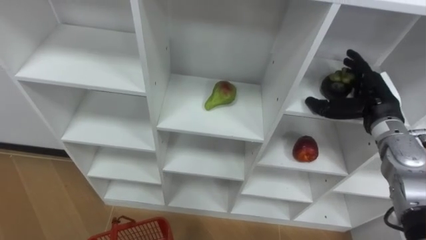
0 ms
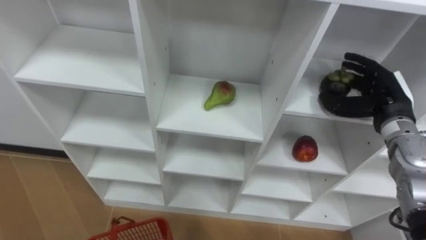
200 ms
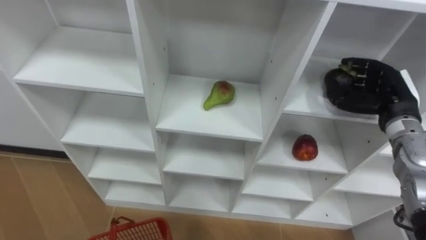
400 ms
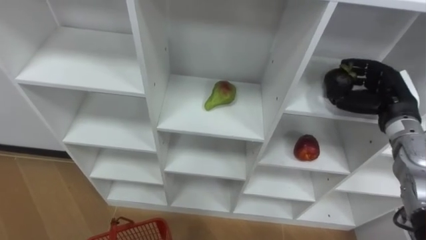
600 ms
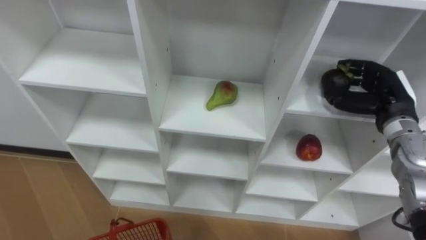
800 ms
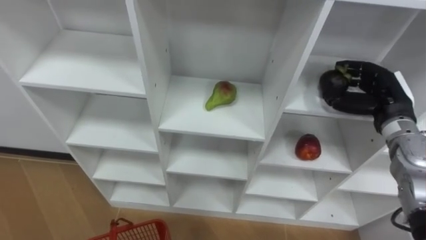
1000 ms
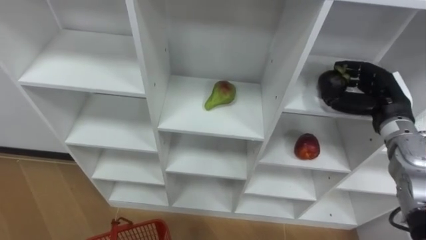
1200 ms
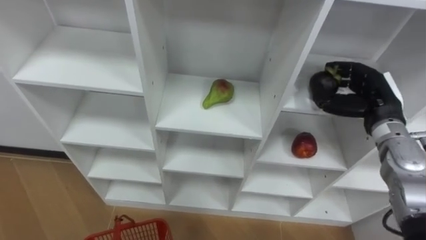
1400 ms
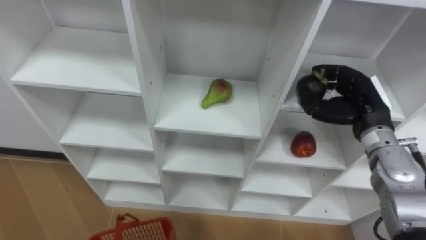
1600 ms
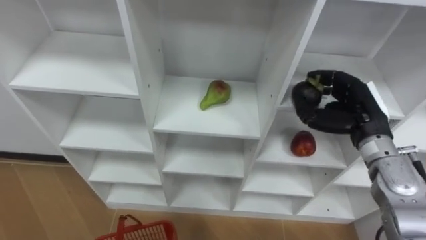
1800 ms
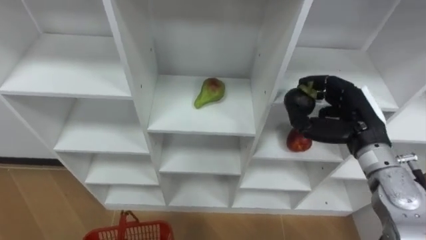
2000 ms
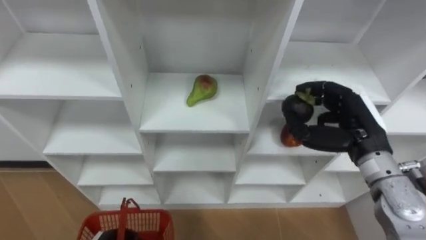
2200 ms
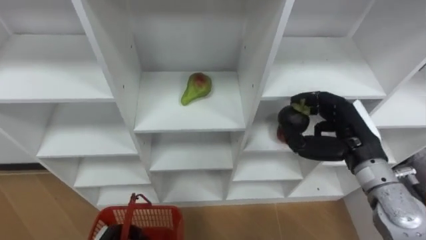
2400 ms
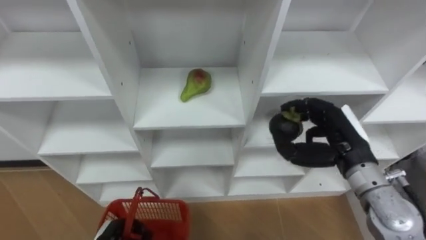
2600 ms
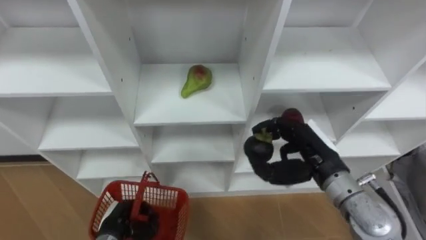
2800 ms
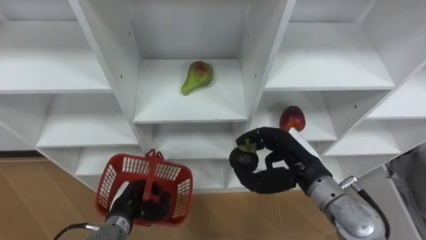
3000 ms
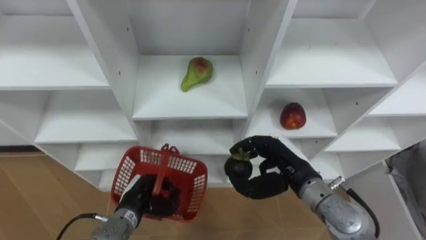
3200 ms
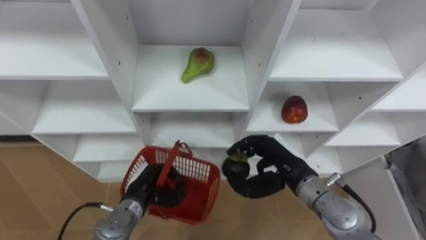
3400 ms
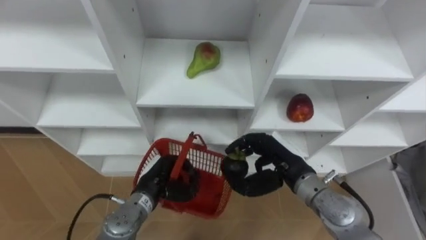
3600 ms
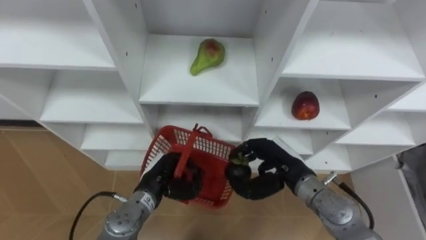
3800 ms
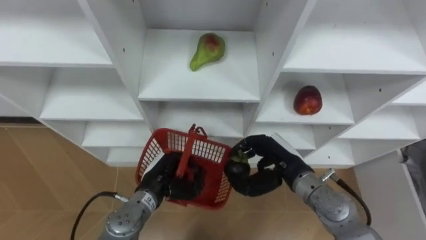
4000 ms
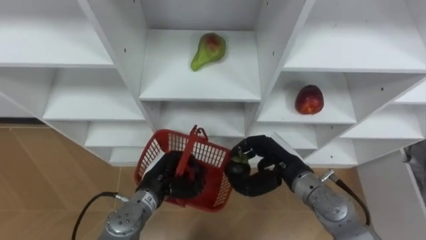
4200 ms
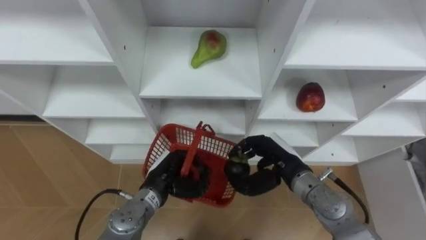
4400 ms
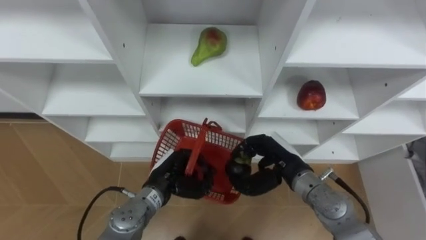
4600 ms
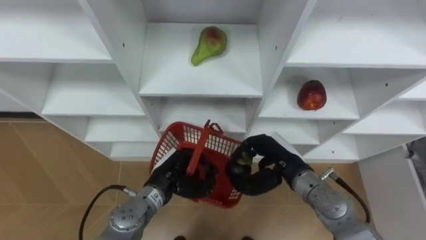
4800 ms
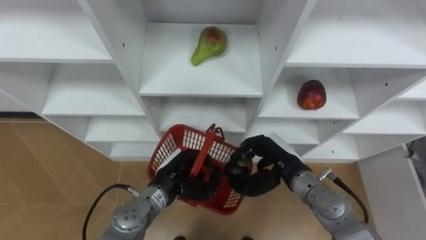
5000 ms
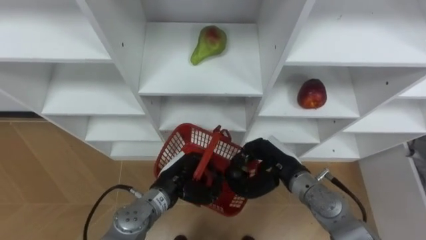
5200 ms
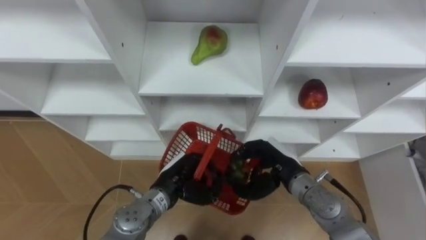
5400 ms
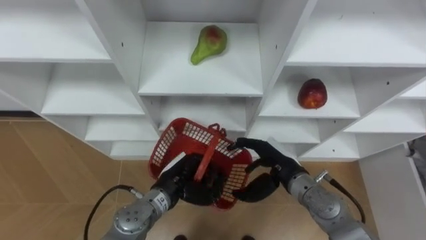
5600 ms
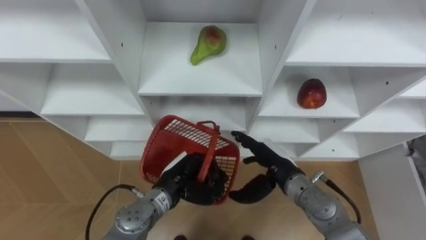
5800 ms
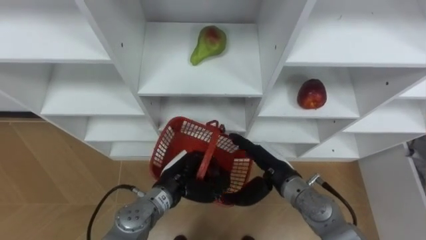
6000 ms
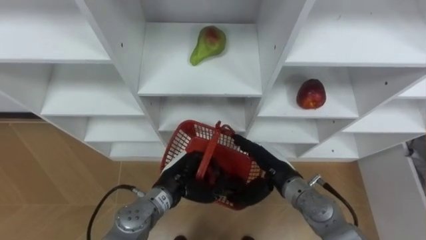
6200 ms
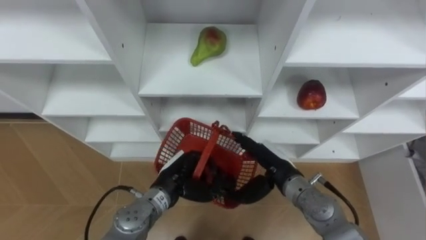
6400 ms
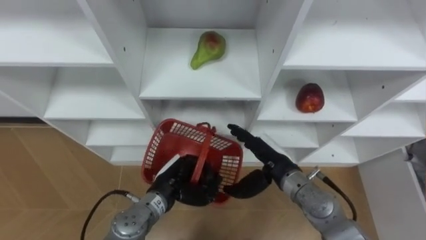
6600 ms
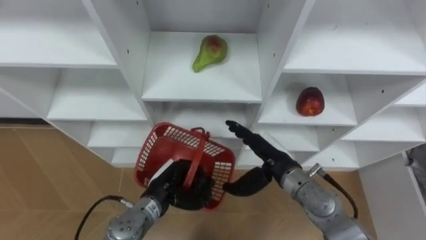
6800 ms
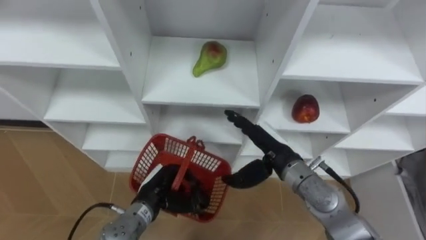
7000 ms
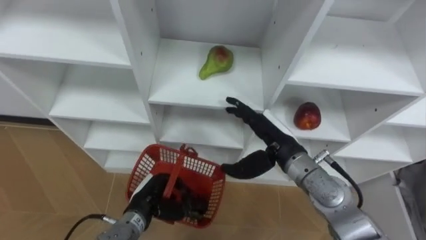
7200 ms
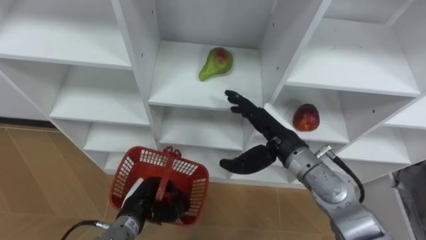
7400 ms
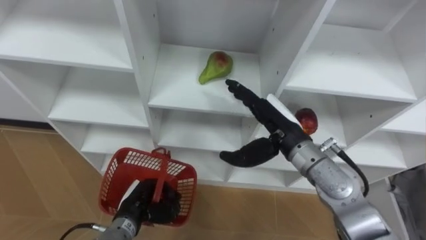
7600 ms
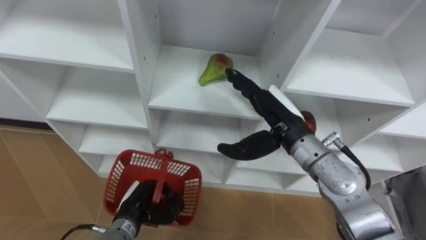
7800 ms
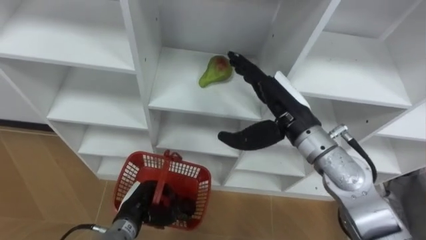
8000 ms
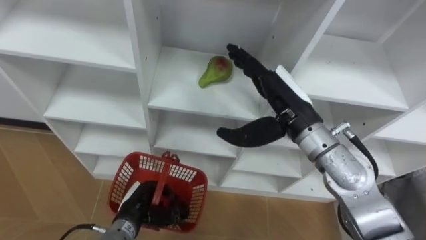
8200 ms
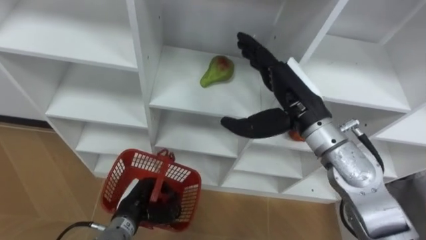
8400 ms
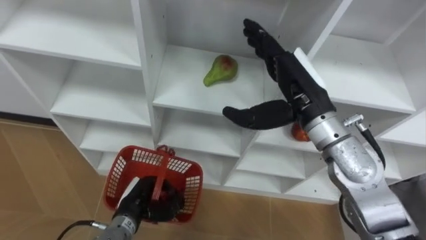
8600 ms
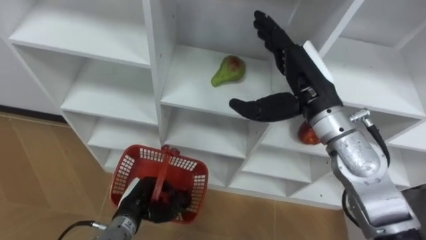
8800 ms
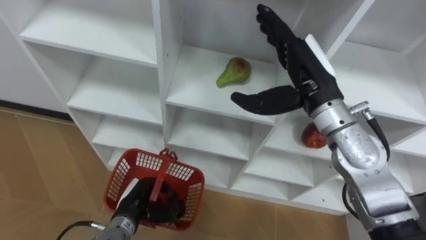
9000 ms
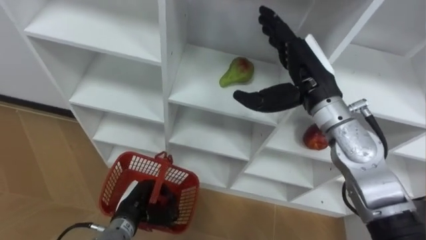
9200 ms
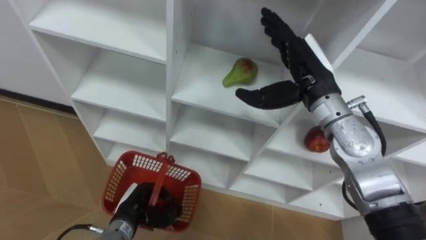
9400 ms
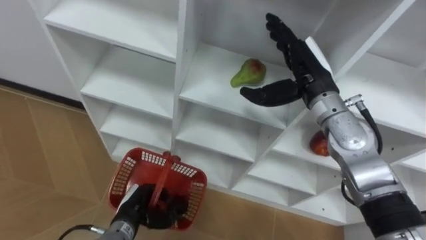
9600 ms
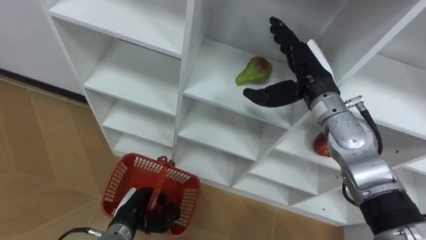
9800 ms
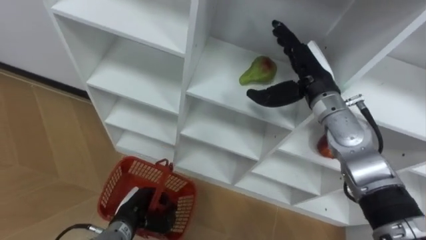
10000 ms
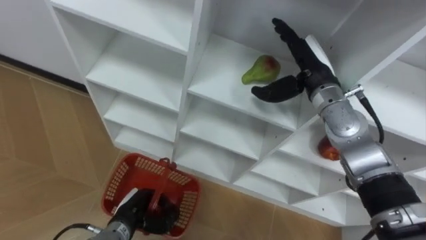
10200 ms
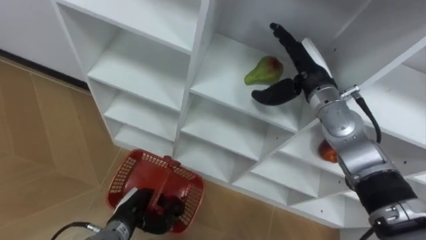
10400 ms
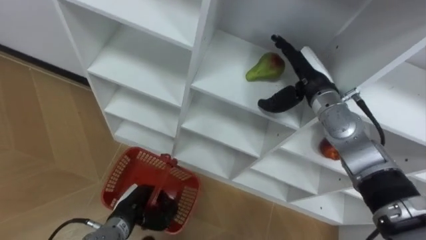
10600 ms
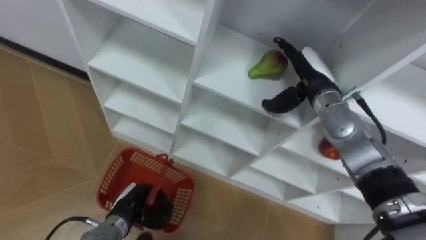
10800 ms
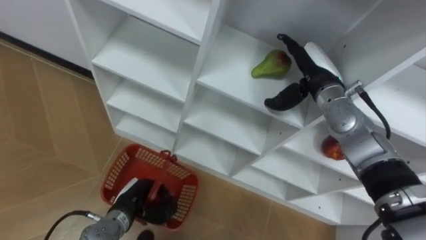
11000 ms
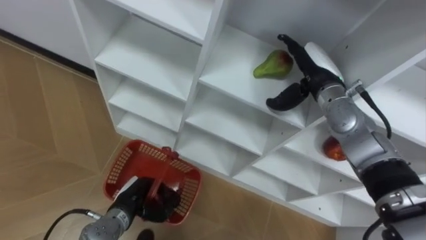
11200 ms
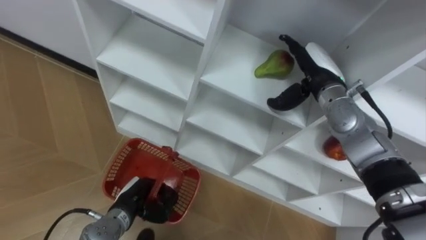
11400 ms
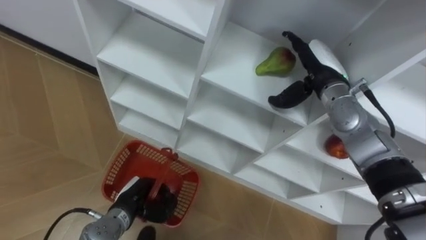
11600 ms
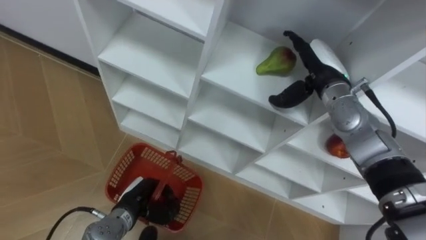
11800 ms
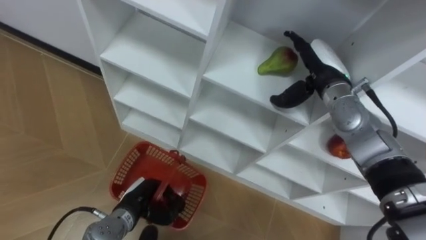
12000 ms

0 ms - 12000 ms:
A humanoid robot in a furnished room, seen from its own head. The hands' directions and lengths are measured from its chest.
Task of the whole recording: Hold the basket and collect the fruits from 3 different cells of the closet into it.
0 ms - 1600 ms: The right hand closes its fingers.
1600 ms - 3000 ms: The right hand goes some 15 cm to the left and backward.
3000 ms - 4400 ms: The right hand shifts by about 5 cm, while the left hand shifts about 10 cm to the right and upward.
4400 ms - 6000 ms: The right hand opens its fingers.
6000 ms - 7600 ms: The right hand is displaced upward by roughly 10 cm. Meanwhile the left hand is displaced to the left and downward by about 10 cm.
7600 ms - 9000 ms: The right hand shifts approximately 10 cm upward.
9000 ms - 10400 ms: The right hand goes roughly 10 cm forward and downward.

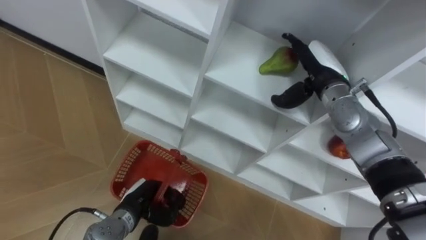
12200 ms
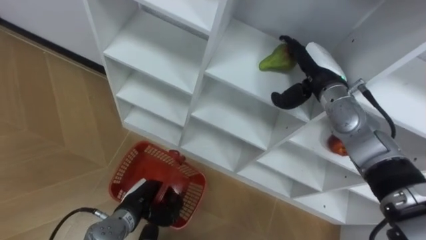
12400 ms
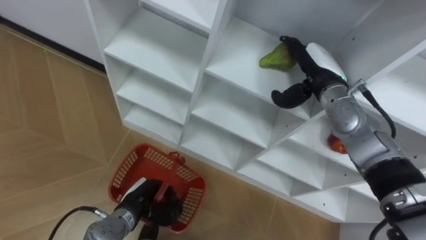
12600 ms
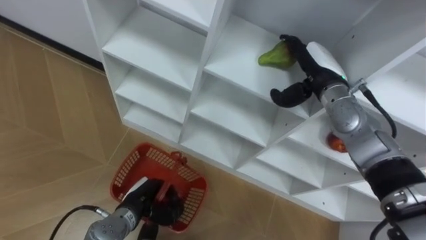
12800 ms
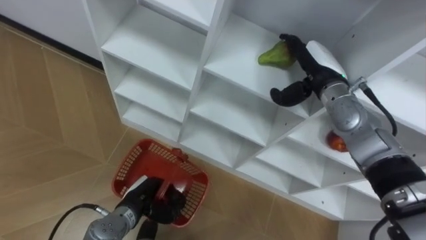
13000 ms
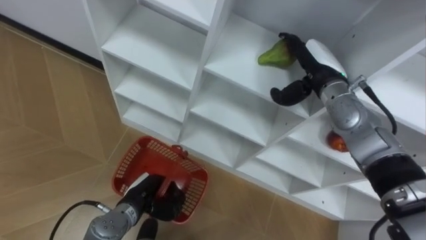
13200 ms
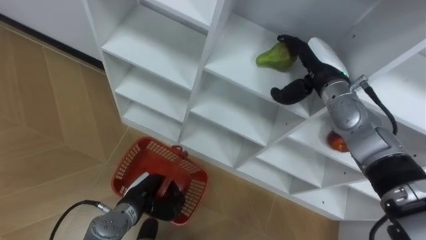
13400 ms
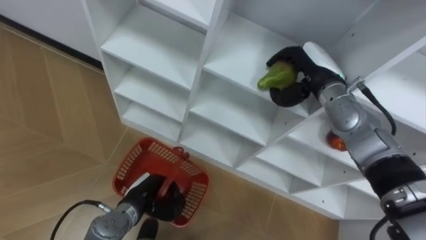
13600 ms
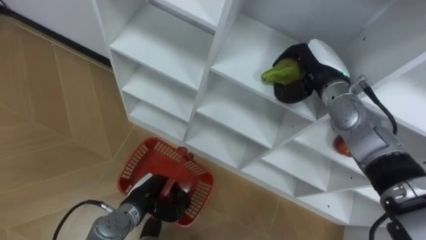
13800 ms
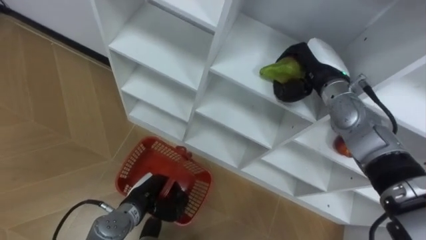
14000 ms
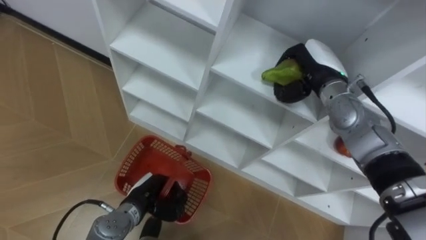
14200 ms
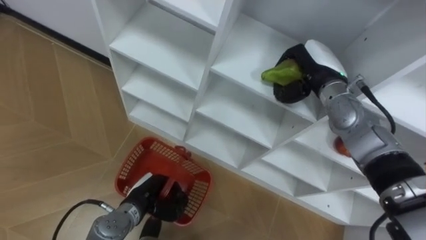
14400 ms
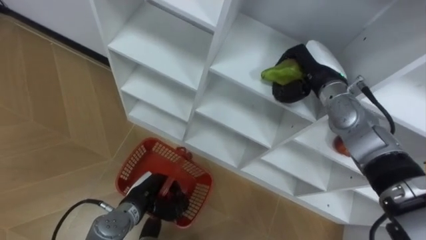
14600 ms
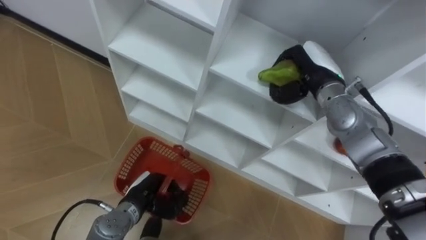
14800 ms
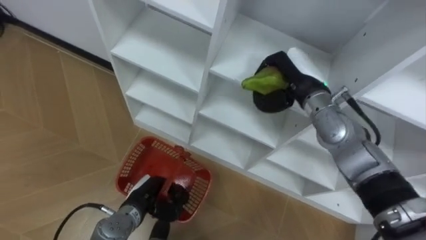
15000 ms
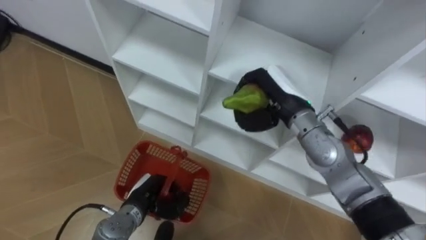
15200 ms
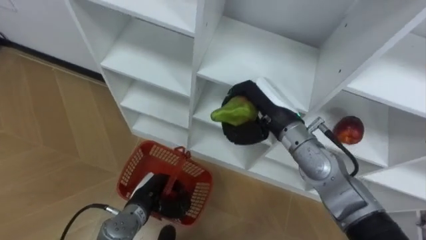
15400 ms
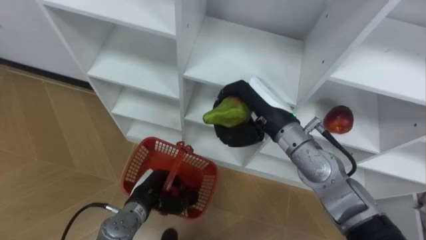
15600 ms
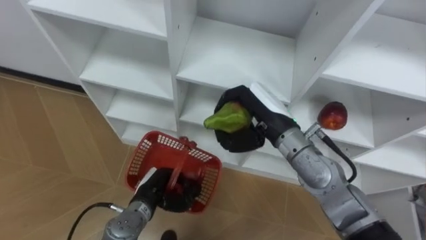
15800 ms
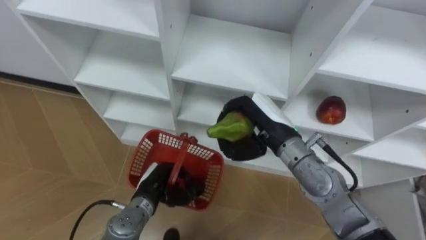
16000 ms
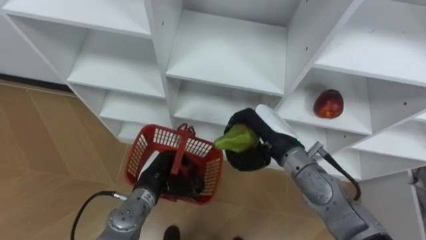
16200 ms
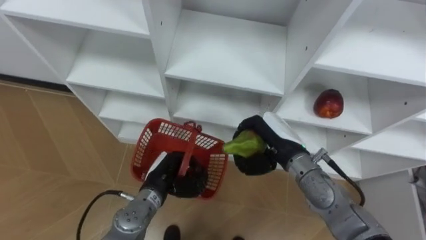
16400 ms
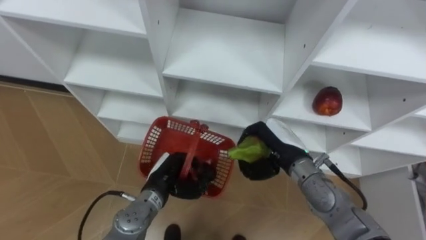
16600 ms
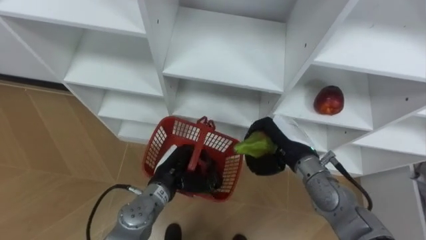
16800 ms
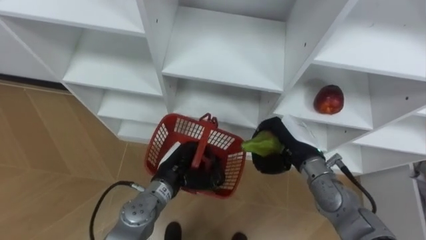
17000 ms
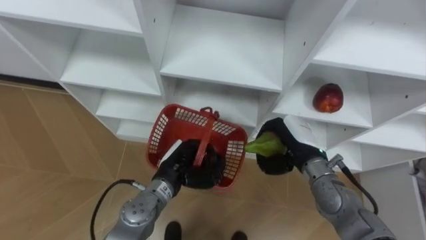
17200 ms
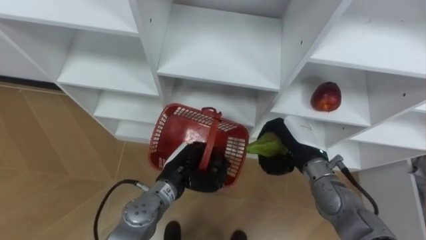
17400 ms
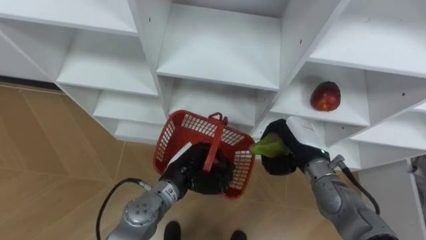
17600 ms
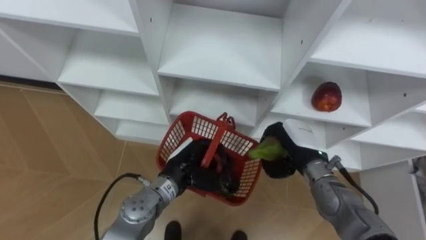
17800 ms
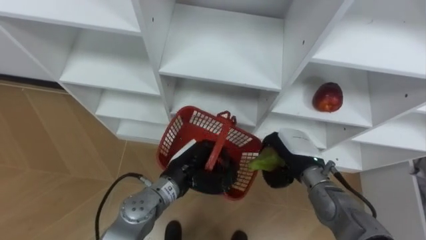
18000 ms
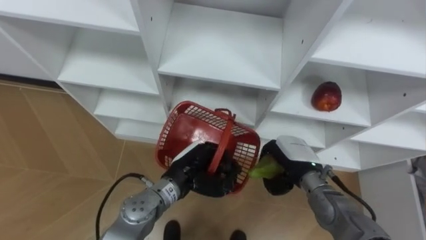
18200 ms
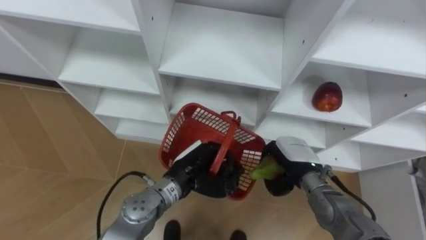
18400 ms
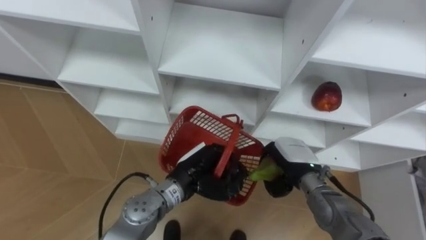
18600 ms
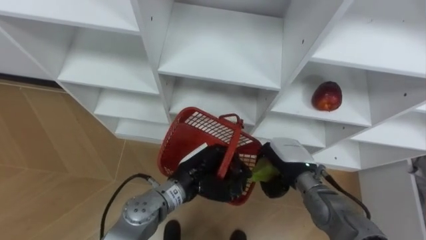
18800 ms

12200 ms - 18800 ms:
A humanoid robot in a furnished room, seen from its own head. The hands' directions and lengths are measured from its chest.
Task of the whole recording: Hold the basket and collect the fruits from 3 different cells of the closet into it.
12200 ms - 13800 ms: The right hand closes up.
13800 ms - 15400 ms: The right hand heads to the left and backward, covering about 10 cm.
15400 ms - 17200 ms: The right hand shifts about 10 cm downward and to the right, while the left hand goes some 10 cm upward and to the right.
17200 ms - 18800 ms: The right hand moves about 5 cm.
